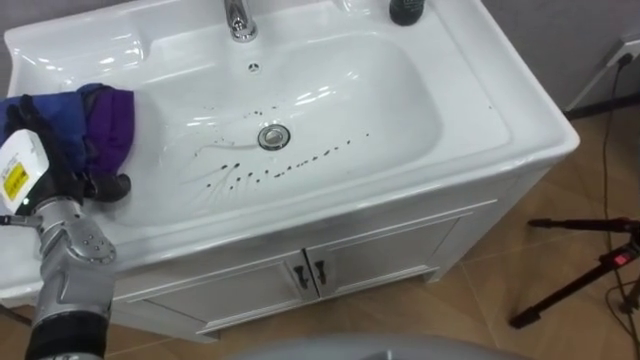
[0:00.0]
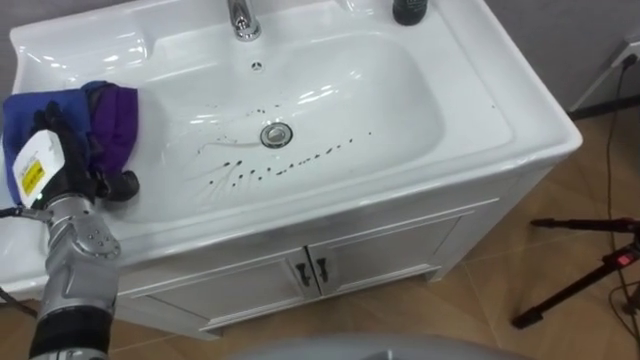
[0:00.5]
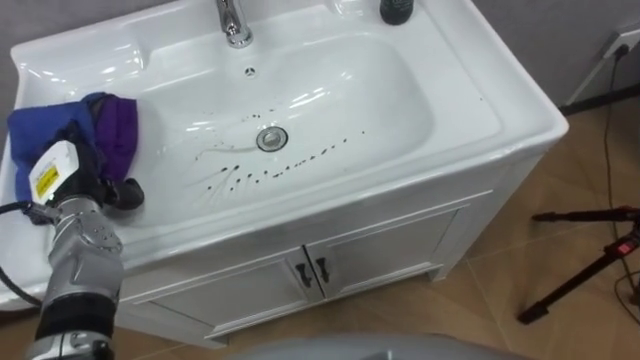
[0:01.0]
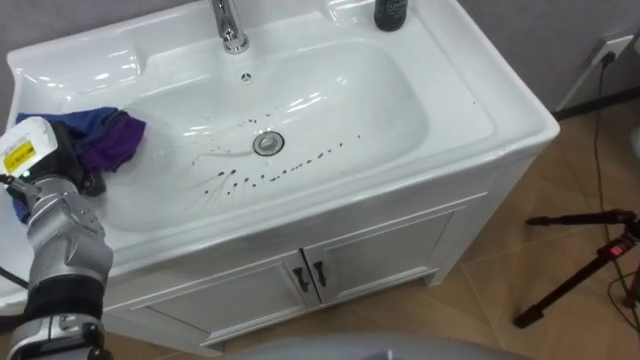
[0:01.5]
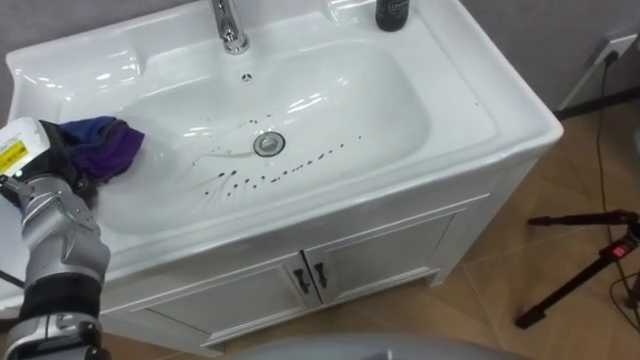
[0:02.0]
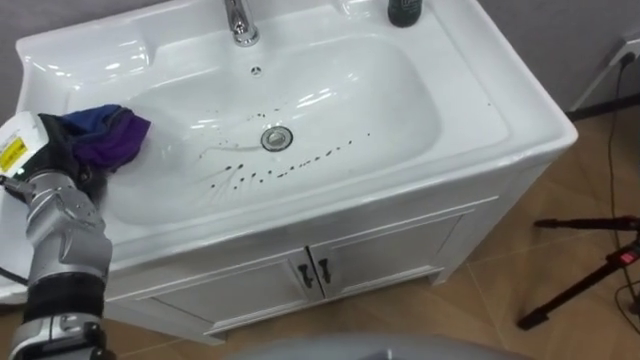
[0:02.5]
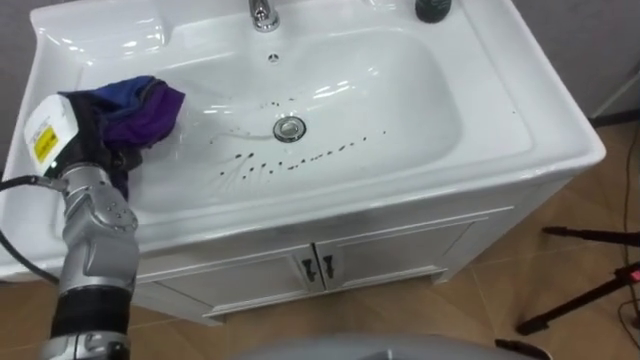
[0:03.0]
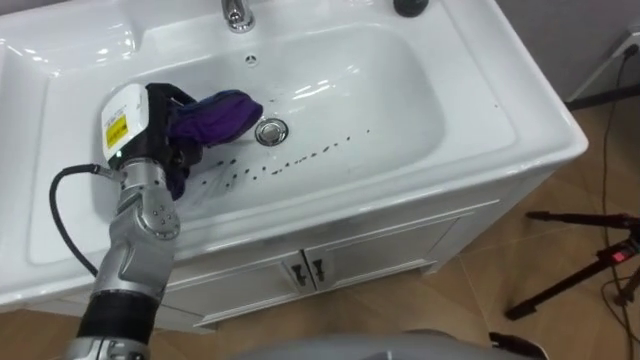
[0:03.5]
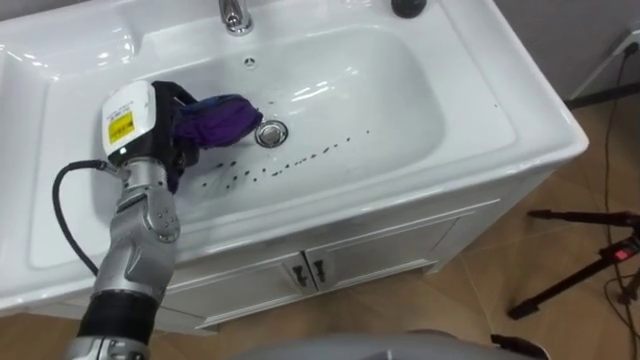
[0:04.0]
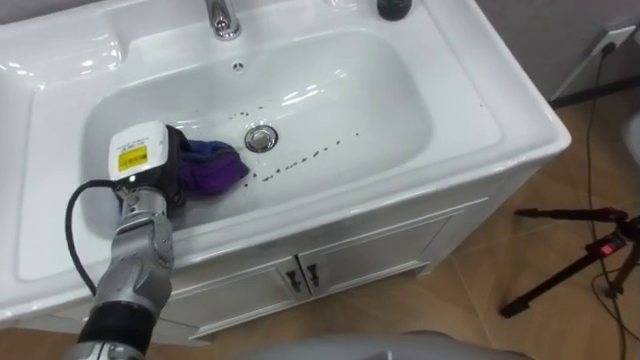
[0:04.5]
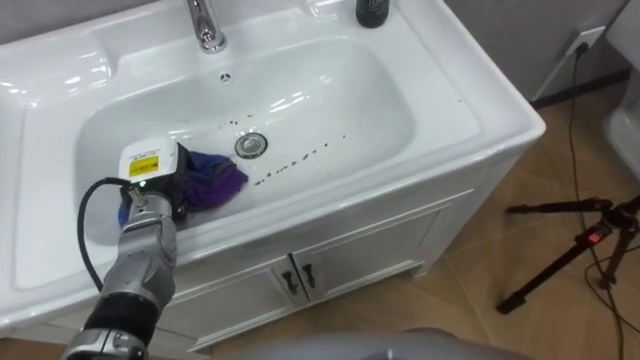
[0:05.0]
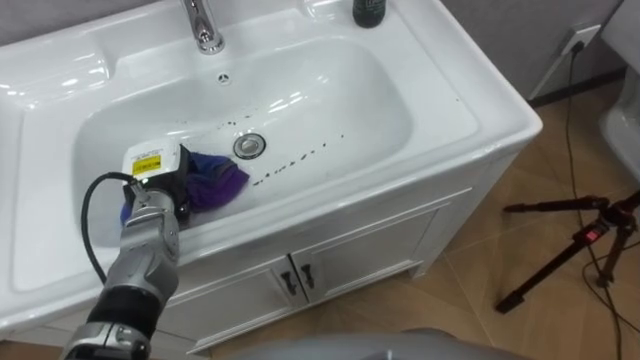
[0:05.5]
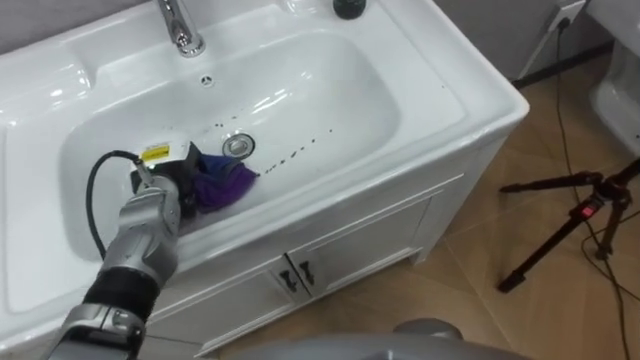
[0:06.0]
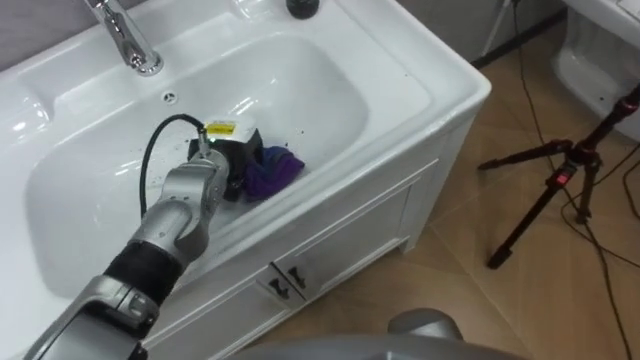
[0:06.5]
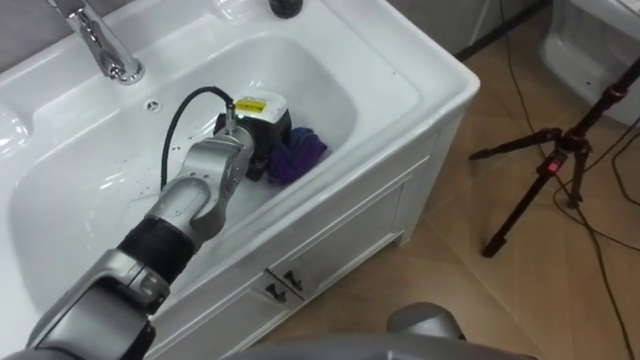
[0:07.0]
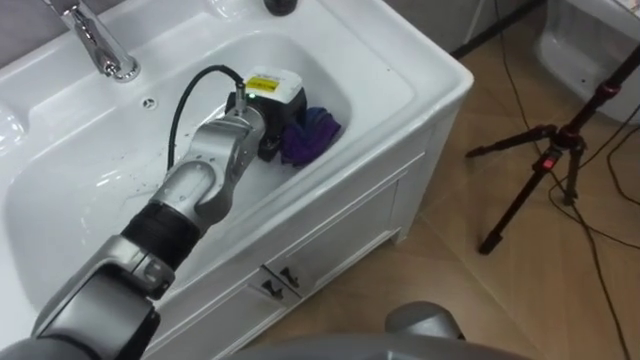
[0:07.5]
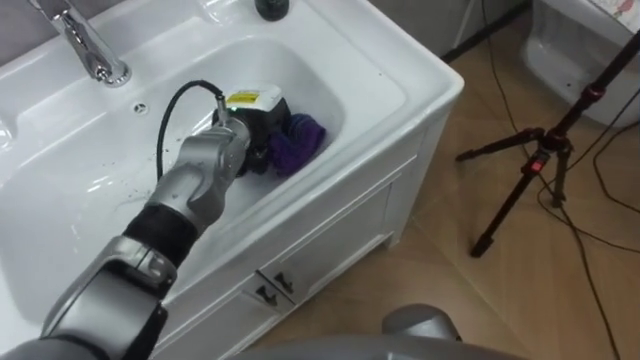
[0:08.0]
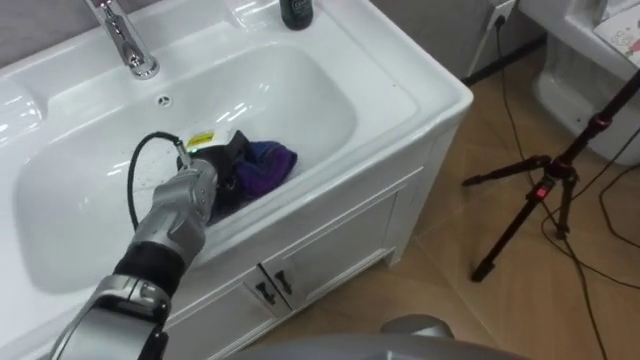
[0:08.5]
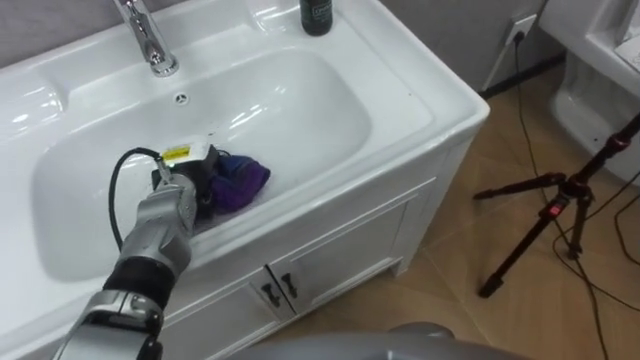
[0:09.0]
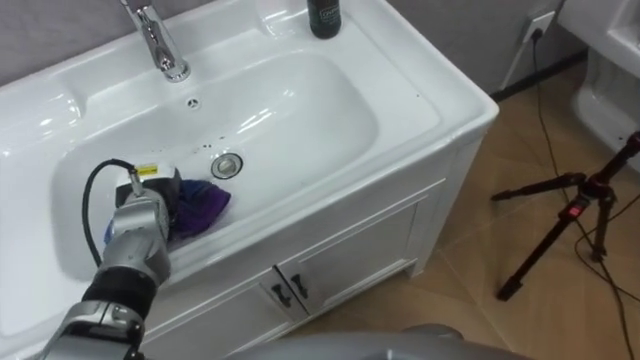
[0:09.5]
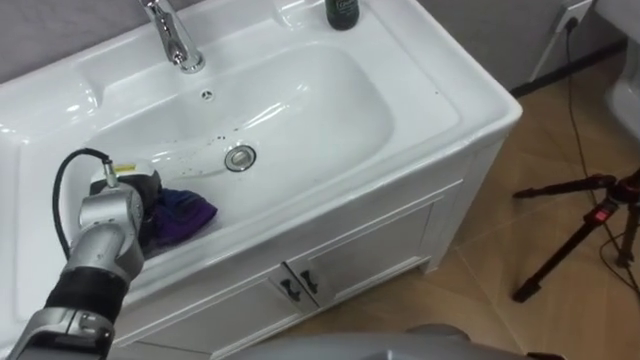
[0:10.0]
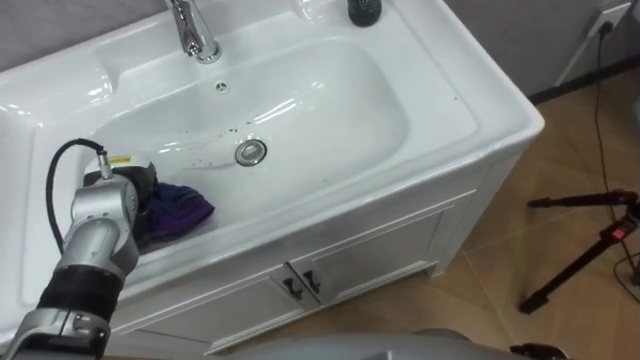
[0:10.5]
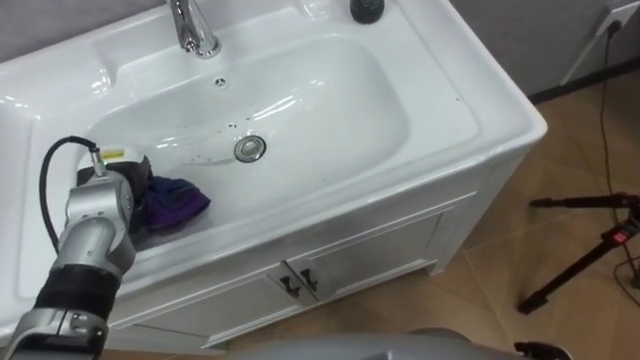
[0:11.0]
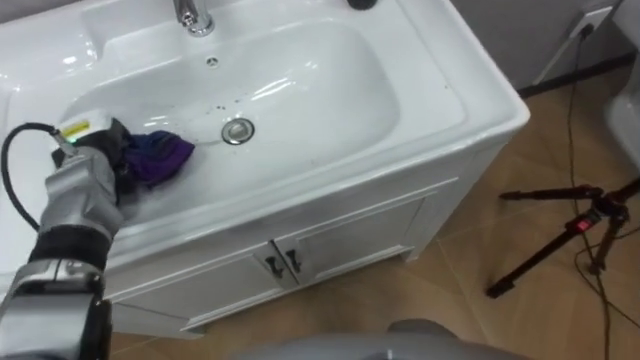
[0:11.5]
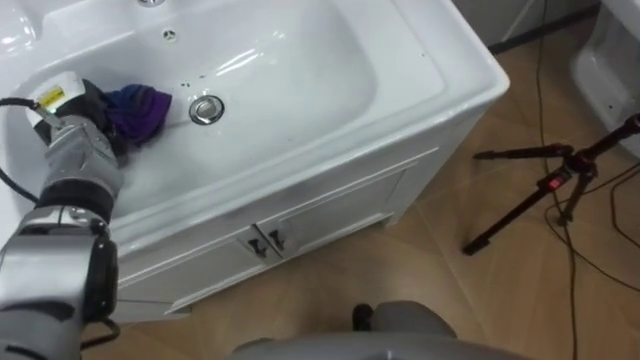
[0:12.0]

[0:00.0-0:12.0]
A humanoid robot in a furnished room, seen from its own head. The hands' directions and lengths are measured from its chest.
Task of the whole recording: Use the cloth on the right to wipe away the black stain in the sink.
0.0 to 2.0 s: The left hand closes its fingers.
2.0 to 4.0 s: The left hand heads to the right, covering approximately 15 cm.
4.0 to 6.0 s: The left hand moves downward, roughly 10 cm.
6.0 to 8.0 s: The left hand is displaced to the right, forward and upward by some 15 cm.
8.0 to 10.0 s: The left hand travels to the left and backward by about 20 cm.
10.0 to 12.0 s: The left hand moves forward, upward and to the left, about 10 cm.

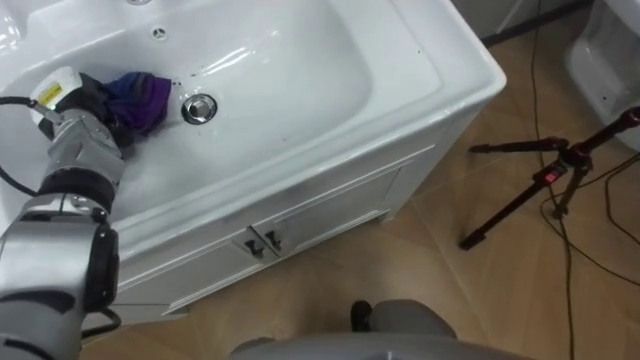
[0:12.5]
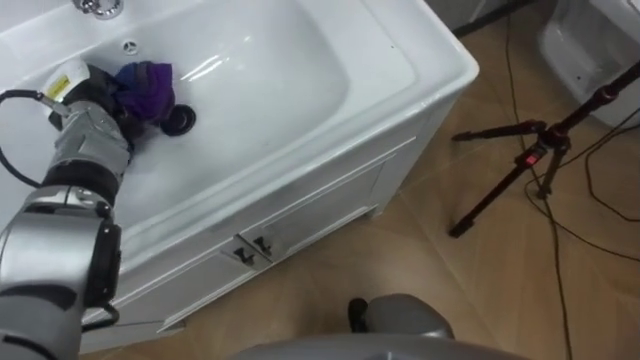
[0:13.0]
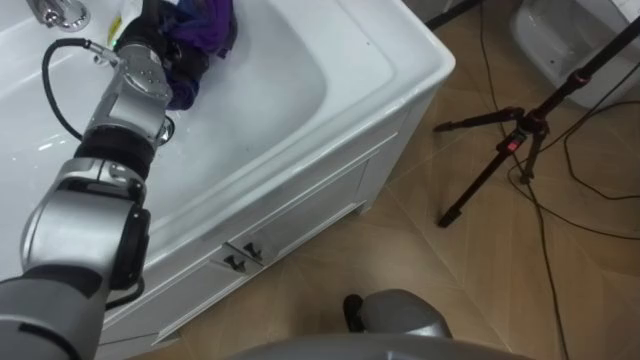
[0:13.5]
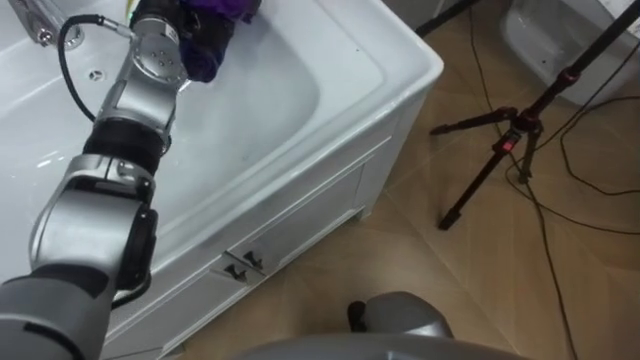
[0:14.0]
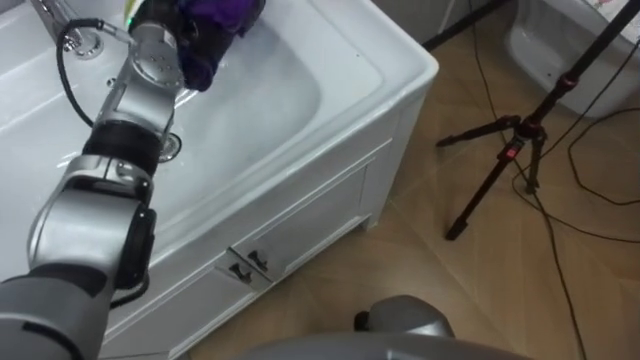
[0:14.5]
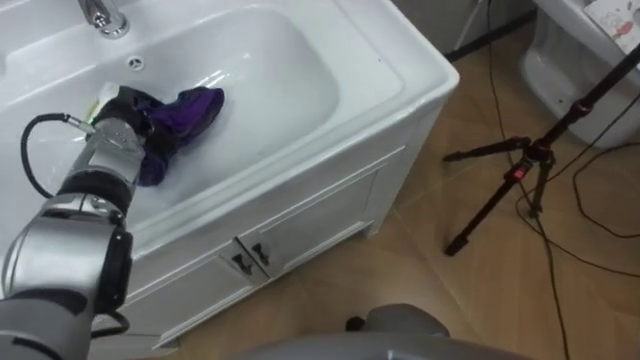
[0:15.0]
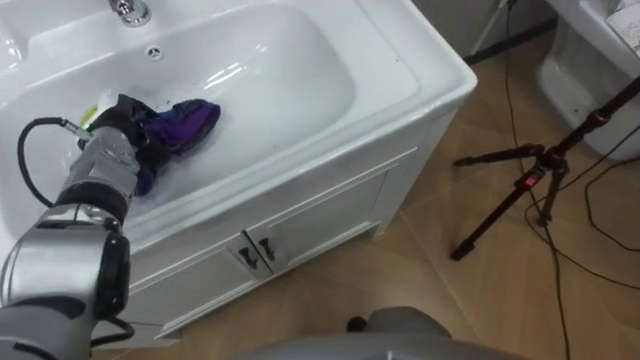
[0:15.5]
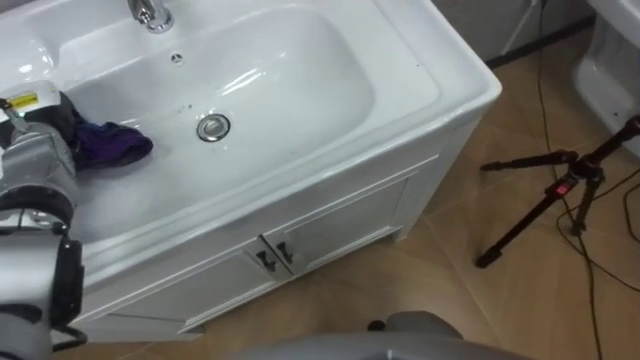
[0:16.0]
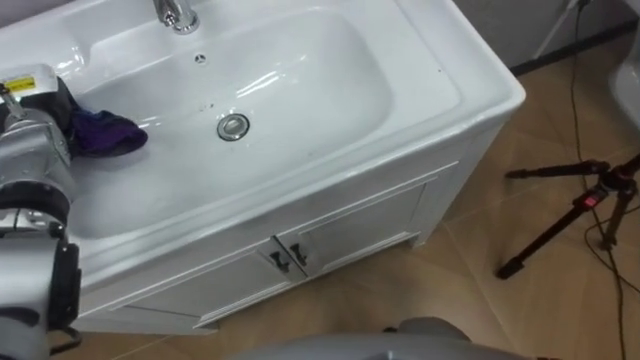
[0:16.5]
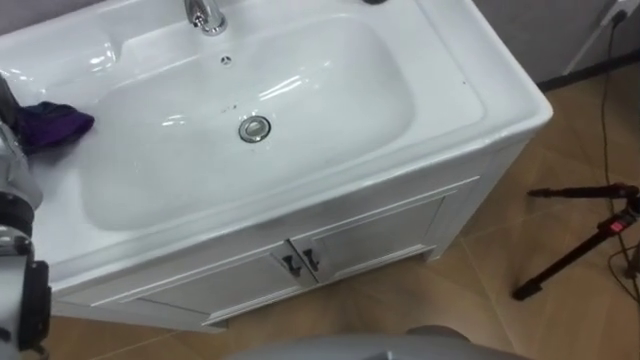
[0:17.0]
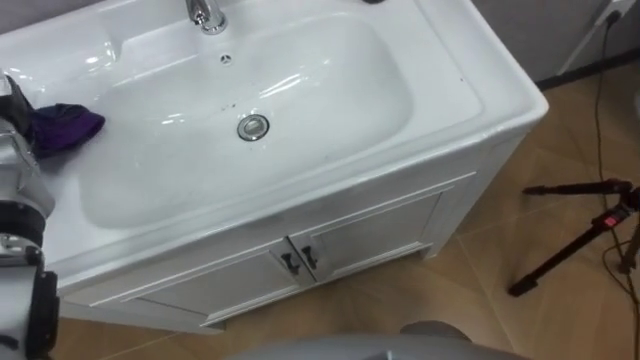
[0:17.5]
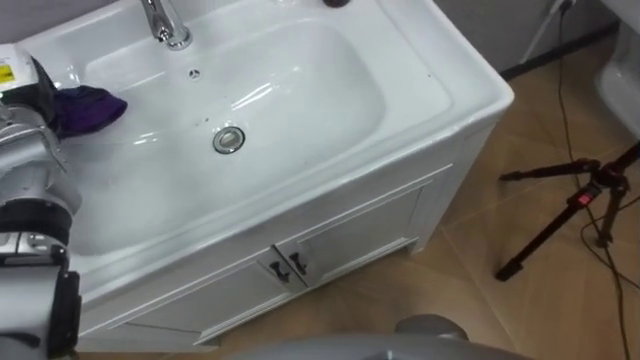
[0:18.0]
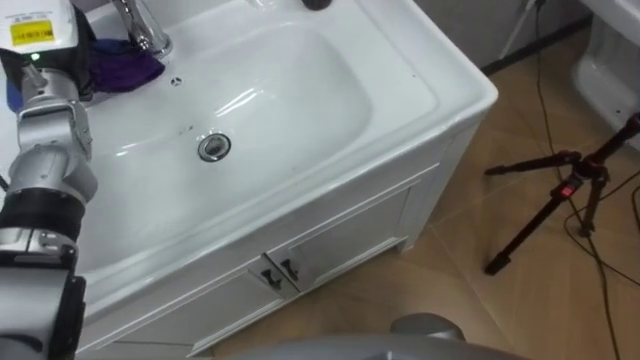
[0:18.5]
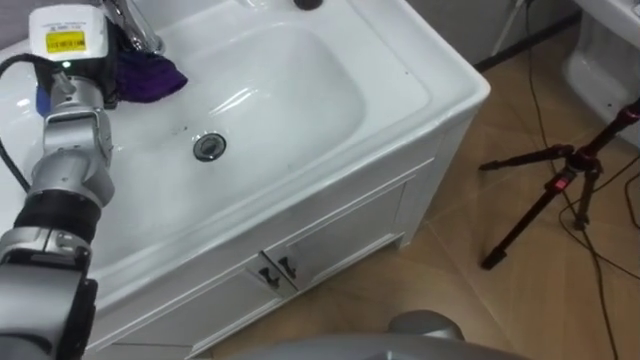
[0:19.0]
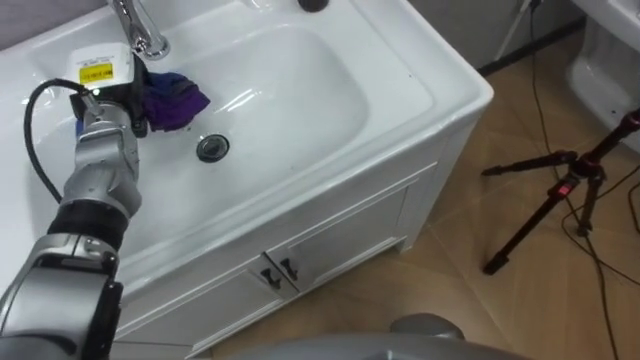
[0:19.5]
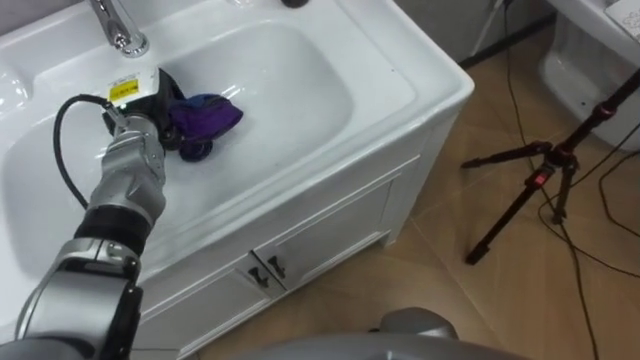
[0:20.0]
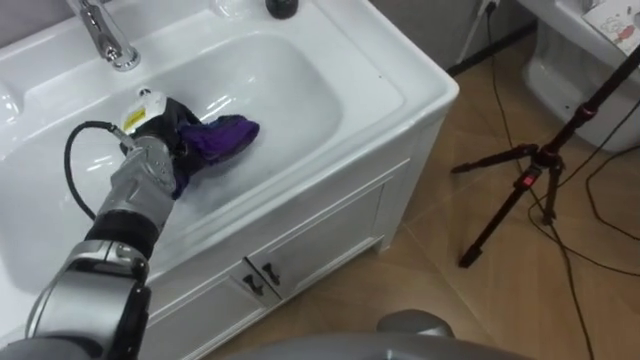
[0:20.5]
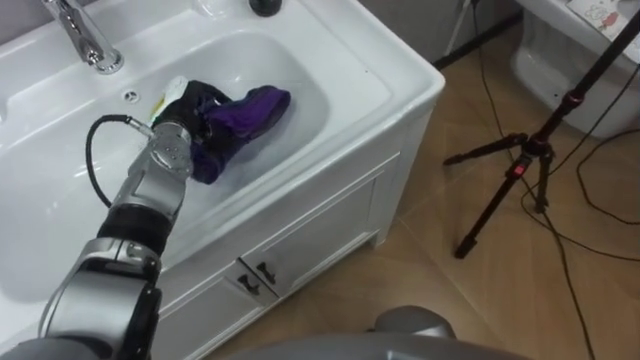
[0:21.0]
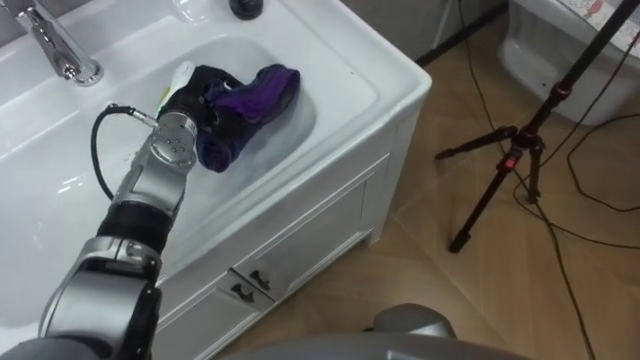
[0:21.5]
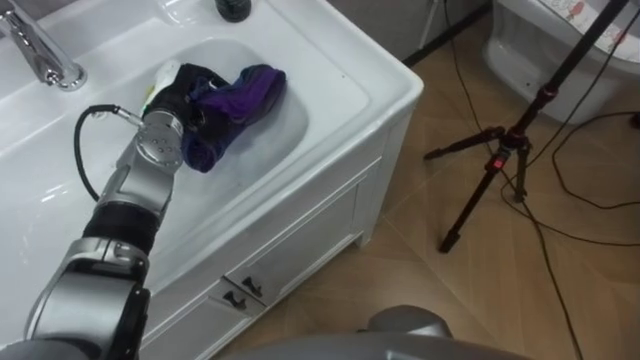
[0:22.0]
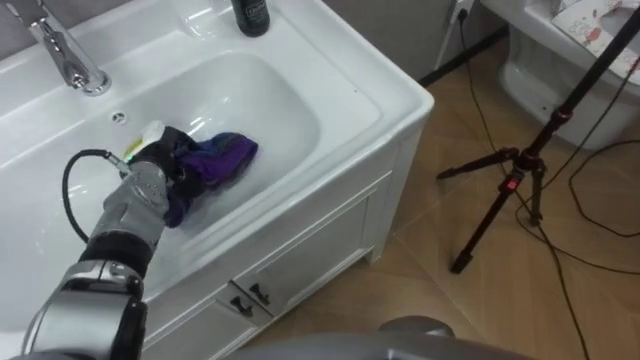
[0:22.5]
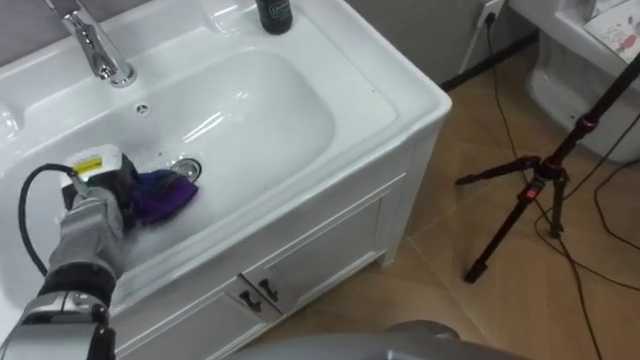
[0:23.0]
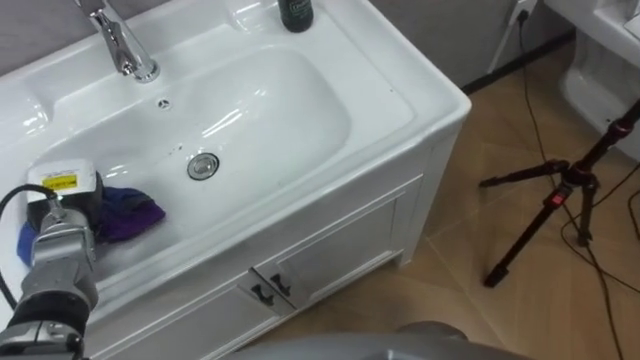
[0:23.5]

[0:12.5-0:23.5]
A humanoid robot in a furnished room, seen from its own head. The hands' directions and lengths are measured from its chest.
Task of the whole recording: Use the cloth on the right to wipe away the black stain in the sink.
14.5 to 16.0 s: The left hand moves to the left, backward and downward, approximately 20 cm.
20.0 to 21.5 s: The left hand shifts approximately 5 cm to the right.
21.5 to 23.5 s: The left hand travels to the left and backward by some 20 cm.
